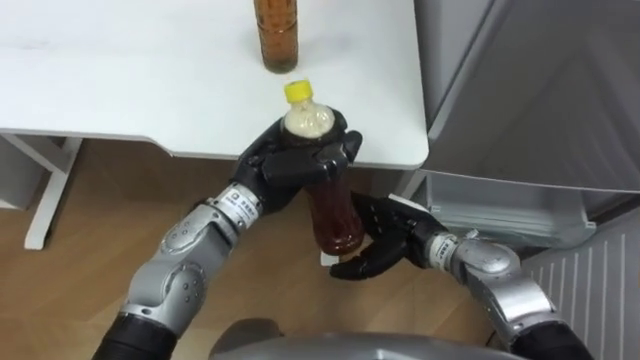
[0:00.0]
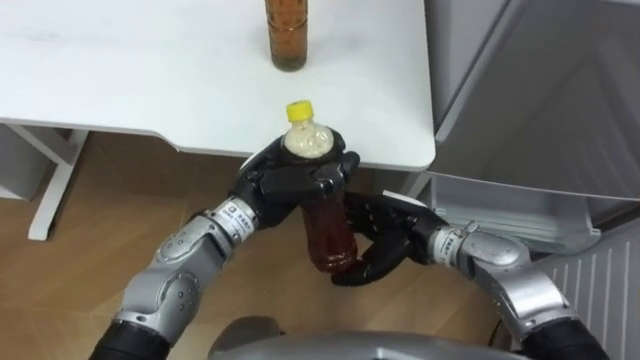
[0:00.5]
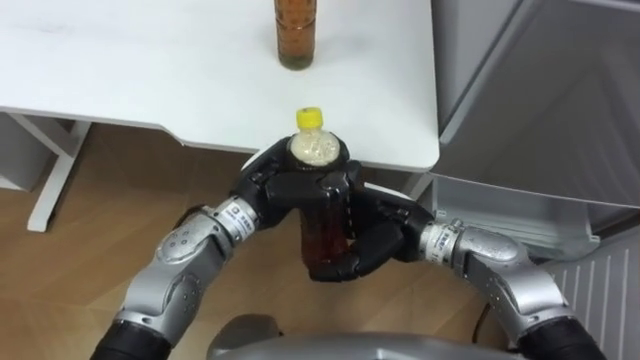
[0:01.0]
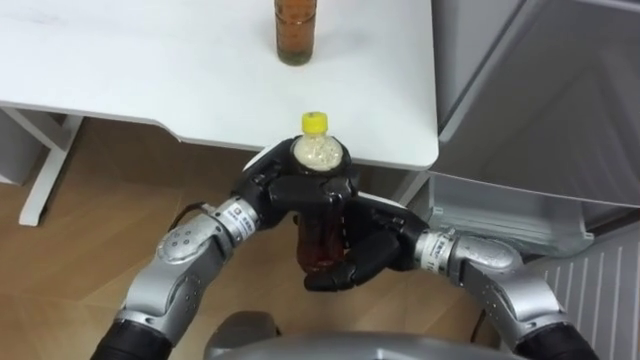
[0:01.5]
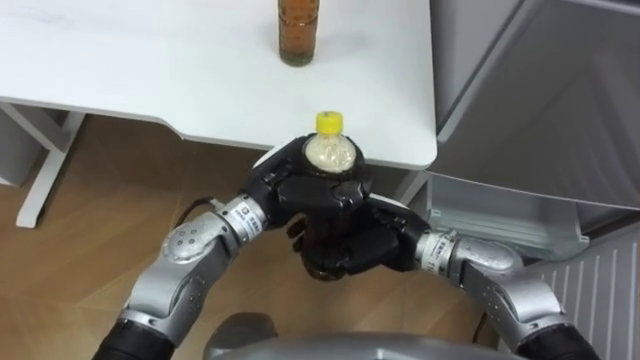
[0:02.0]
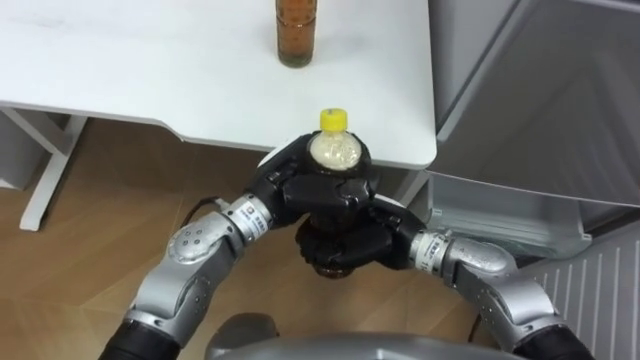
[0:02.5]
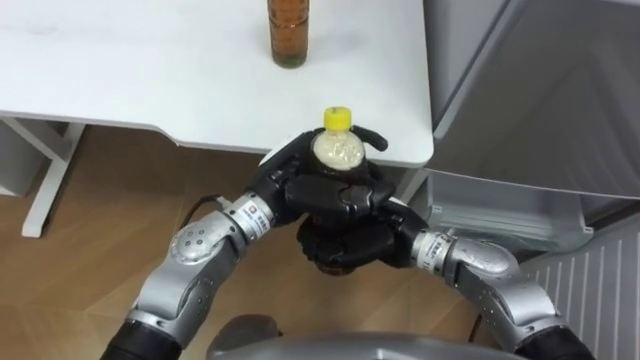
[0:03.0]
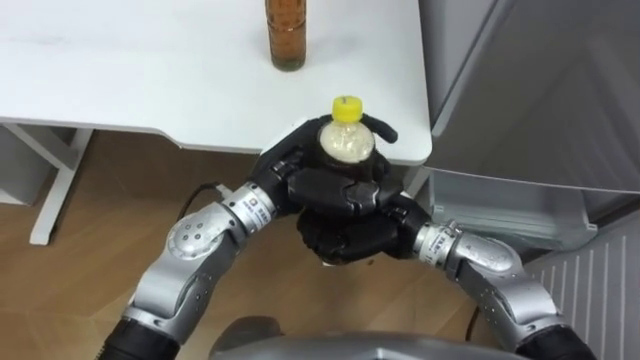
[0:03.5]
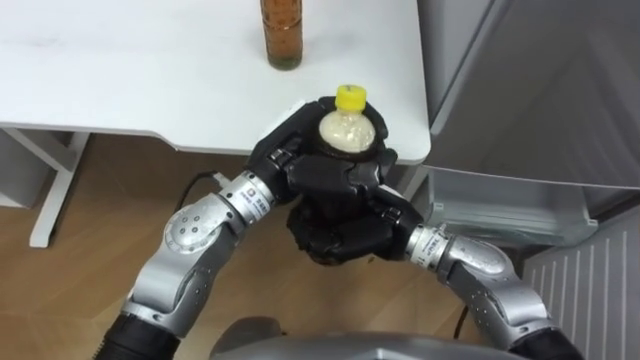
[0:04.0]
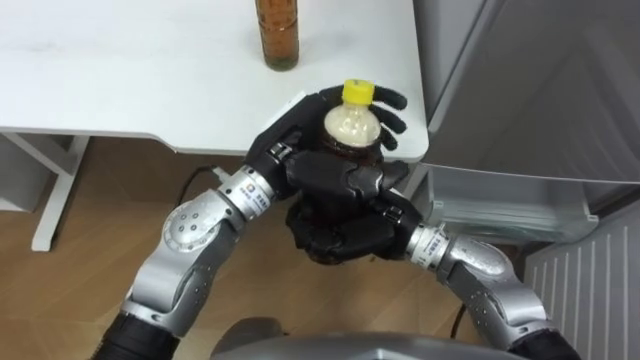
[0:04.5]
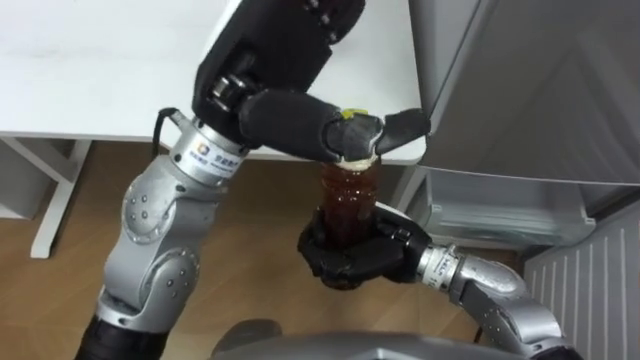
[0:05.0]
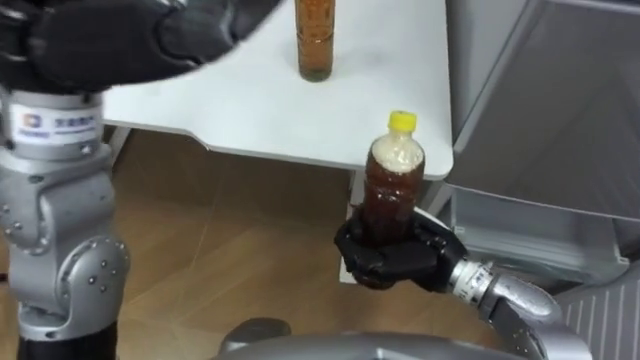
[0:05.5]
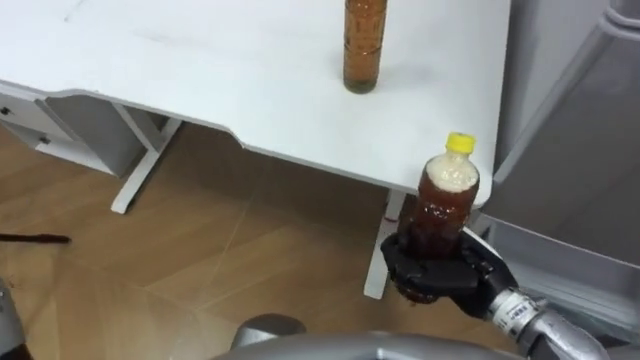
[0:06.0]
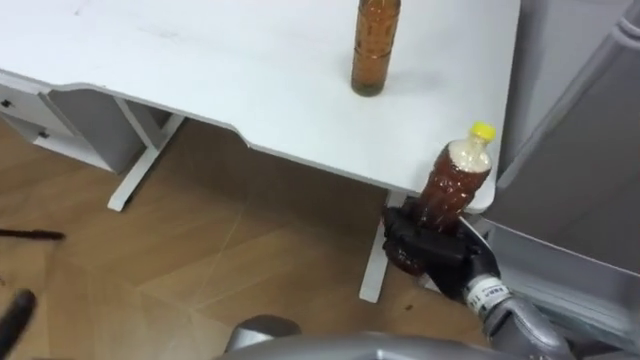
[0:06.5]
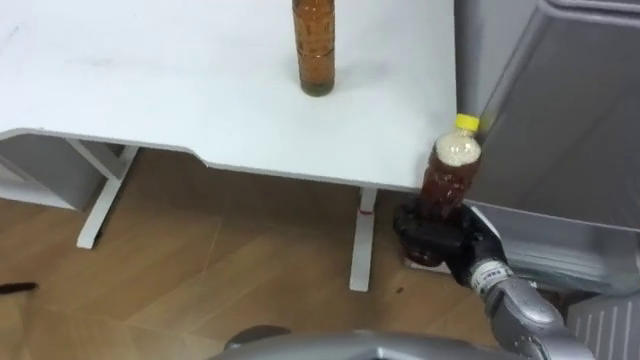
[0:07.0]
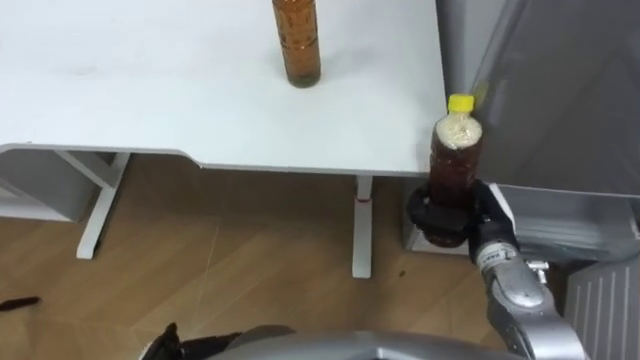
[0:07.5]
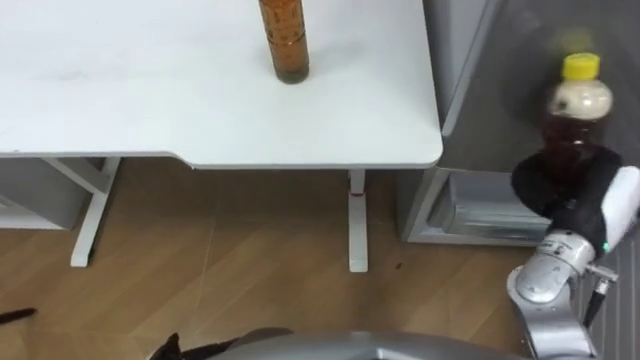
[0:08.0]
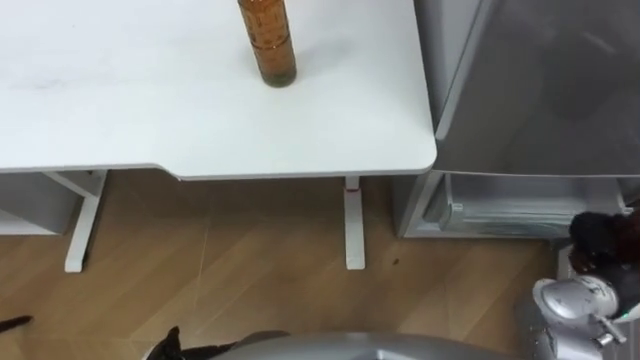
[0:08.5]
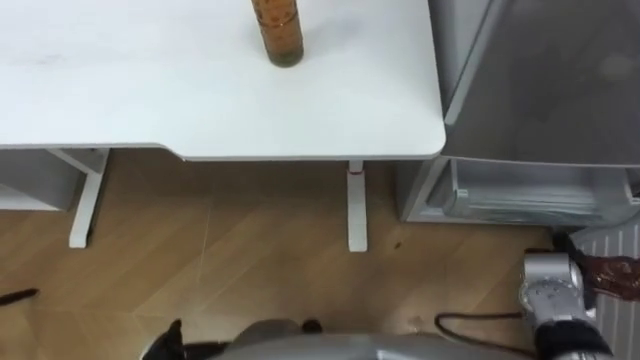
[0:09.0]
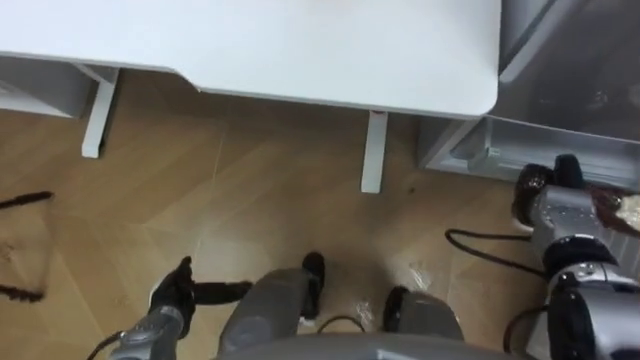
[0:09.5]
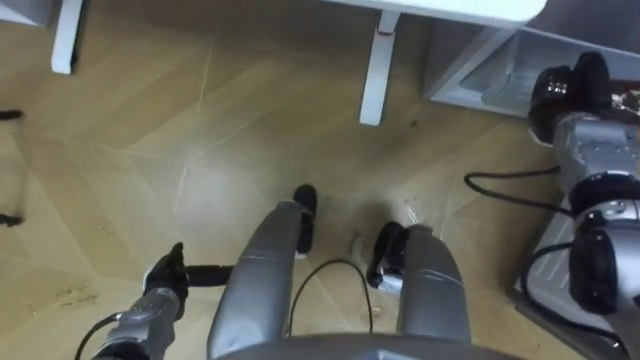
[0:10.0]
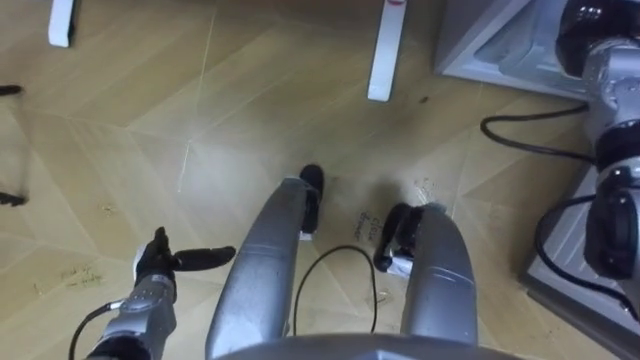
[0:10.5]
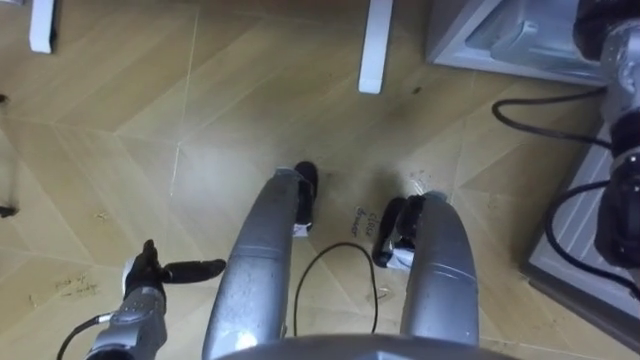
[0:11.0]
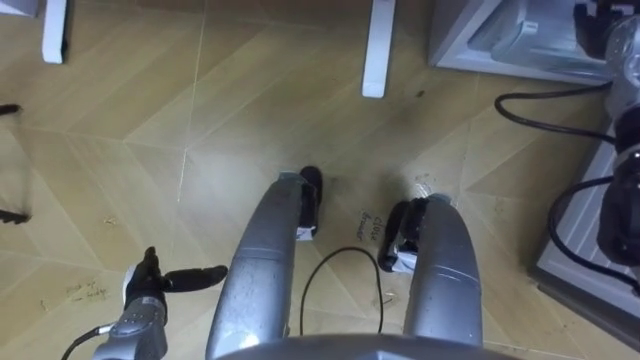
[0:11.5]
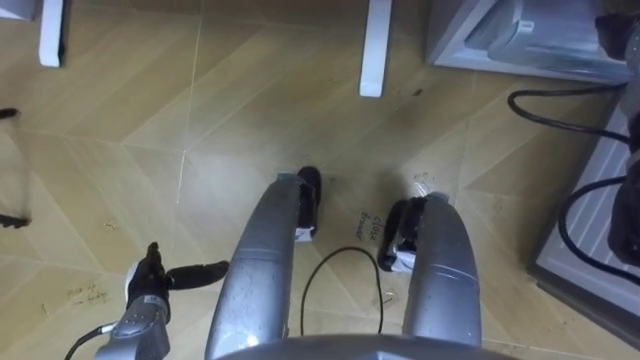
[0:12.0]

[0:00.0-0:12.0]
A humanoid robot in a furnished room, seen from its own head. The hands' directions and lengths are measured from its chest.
Task of the whole recording: Place the drink on the table on the bottom shelf of the refrigerator, then close the drawer and the refrigerator door.
0:00.0 to 0:02.0: The right hand ends up some 5 cm from where it was, and closes up.
0:02.0 to 0:04.0: The left hand moves upward, about 5 cm.
0:04.0 to 0:06.0: The right hand moves to the right and backward, some 15 cm.
0:06.0 to 0:08.0: The right hand travels to the right, forward and upward by approximately 15 cm.
0:08.0 to 0:10.0: The right hand shifts roughly 15 cm forward.
0:10.0 to 0:12.0: The right hand heads upward and forward, covering approximately 15 cm, and opens up.

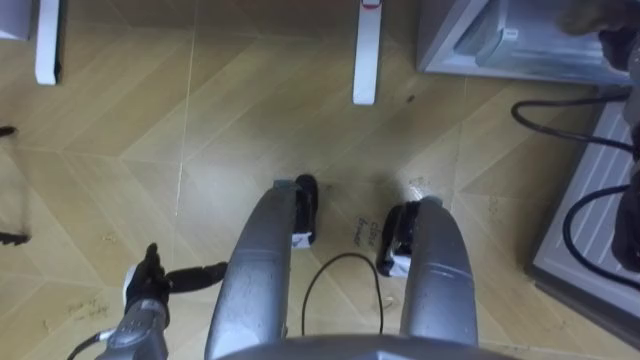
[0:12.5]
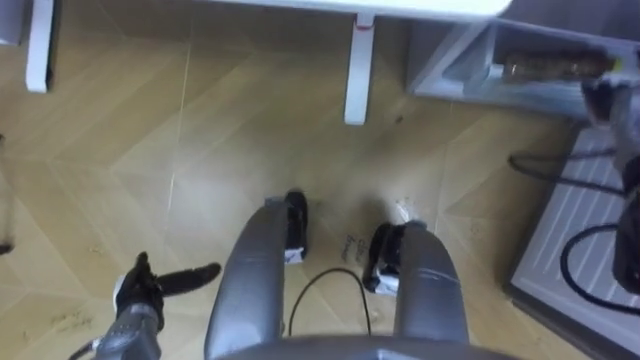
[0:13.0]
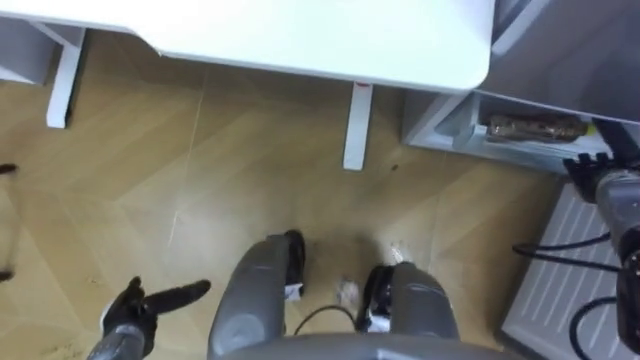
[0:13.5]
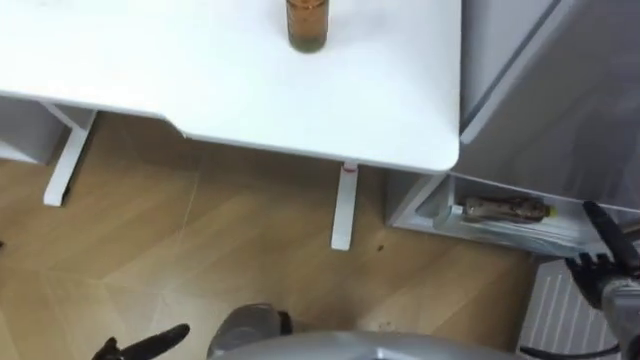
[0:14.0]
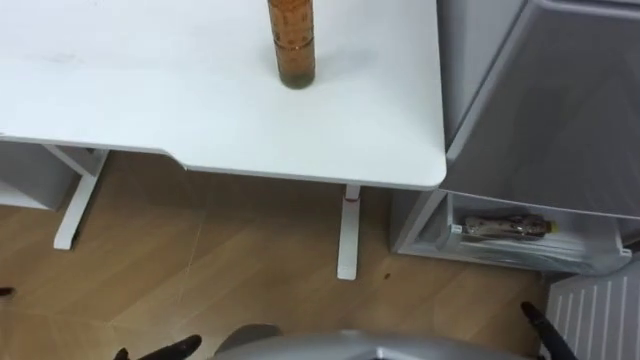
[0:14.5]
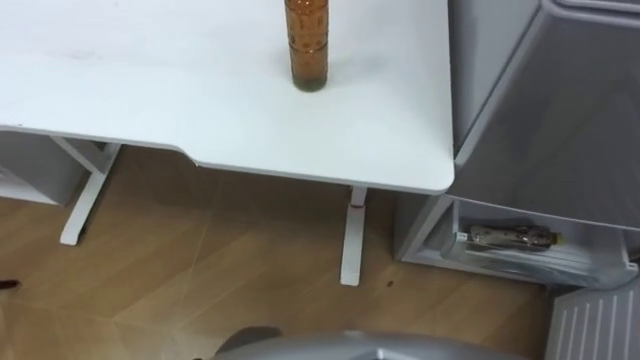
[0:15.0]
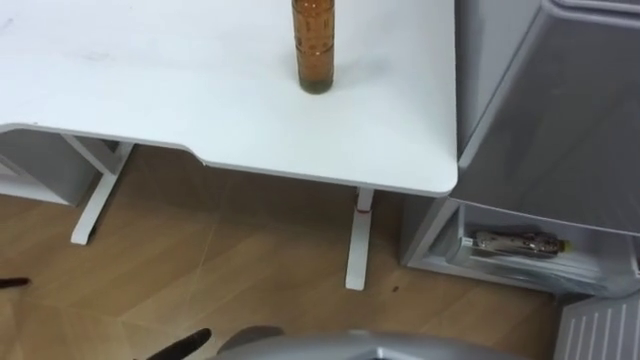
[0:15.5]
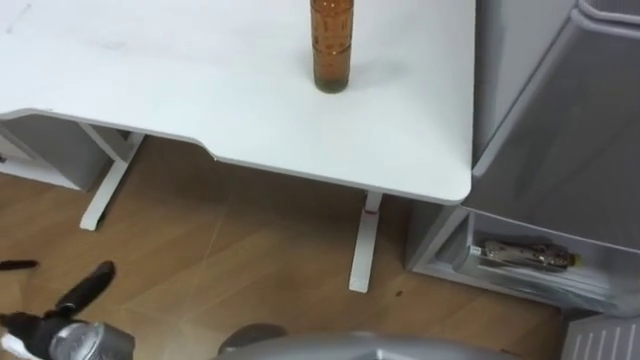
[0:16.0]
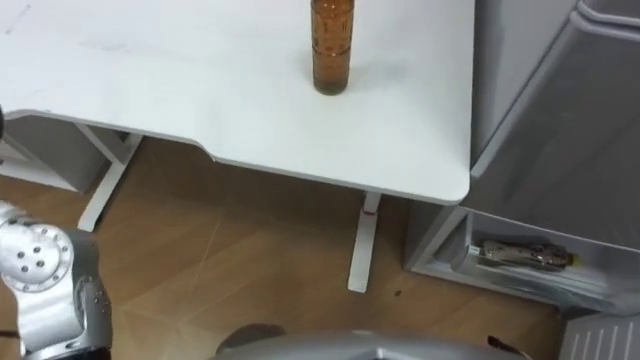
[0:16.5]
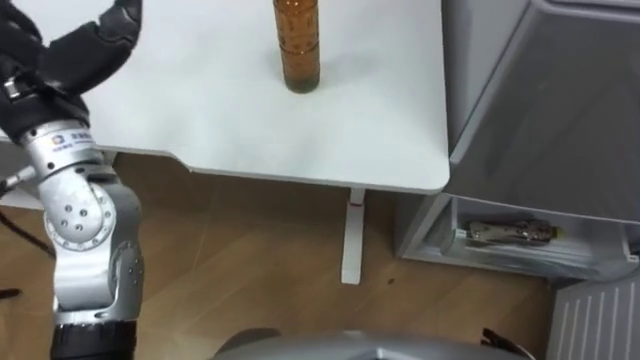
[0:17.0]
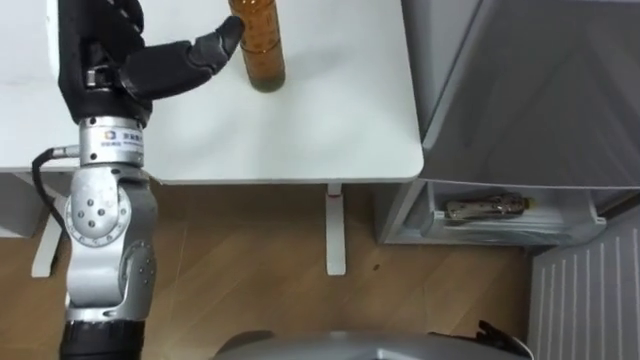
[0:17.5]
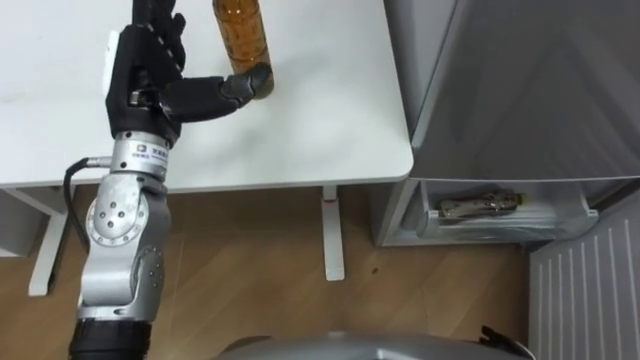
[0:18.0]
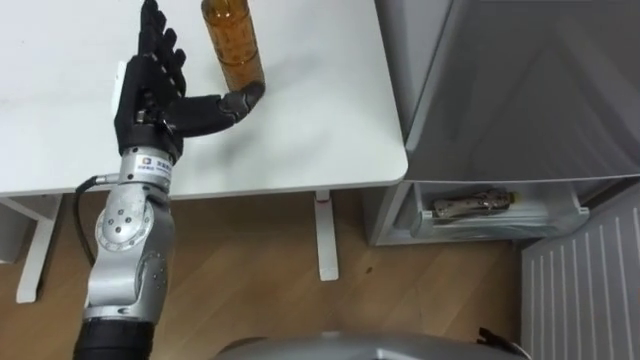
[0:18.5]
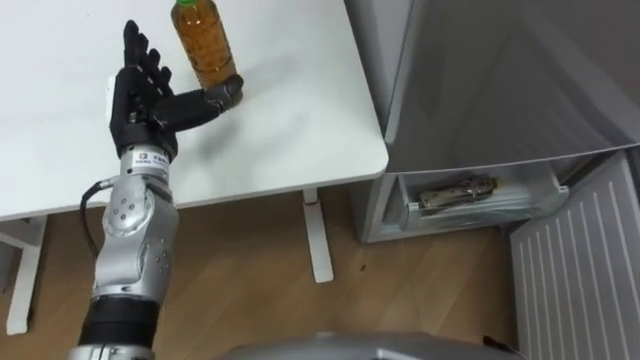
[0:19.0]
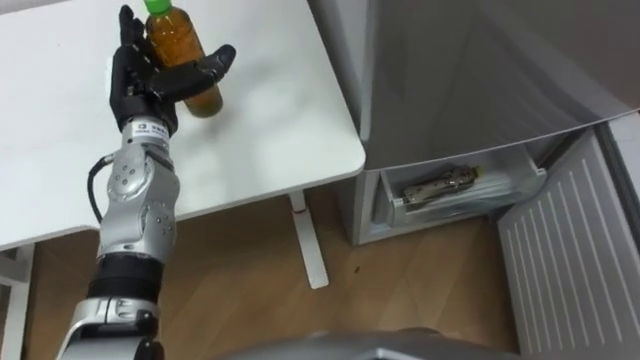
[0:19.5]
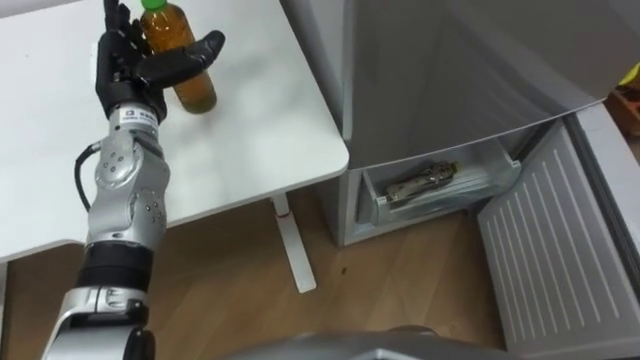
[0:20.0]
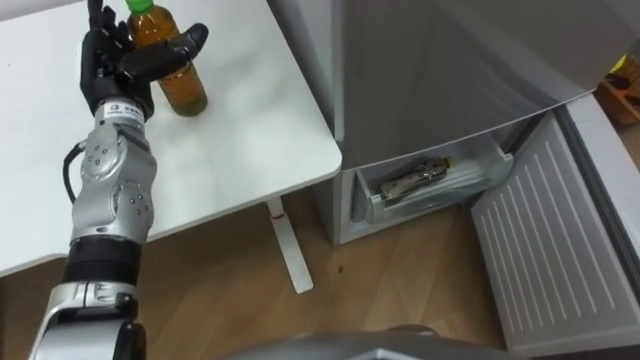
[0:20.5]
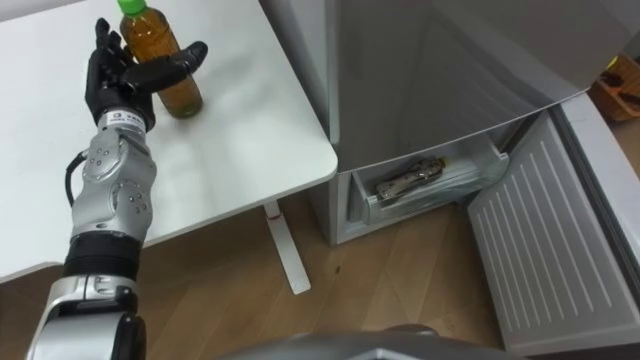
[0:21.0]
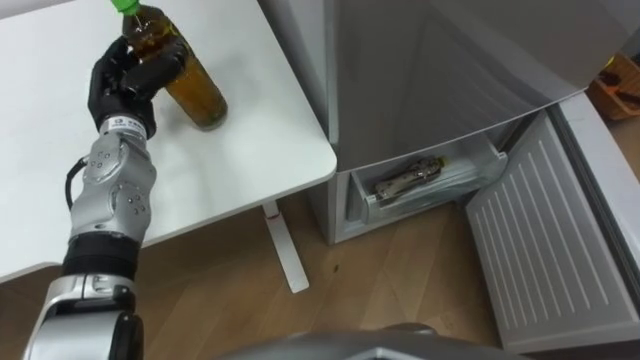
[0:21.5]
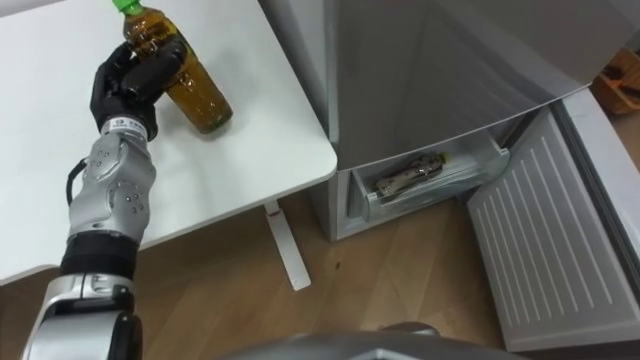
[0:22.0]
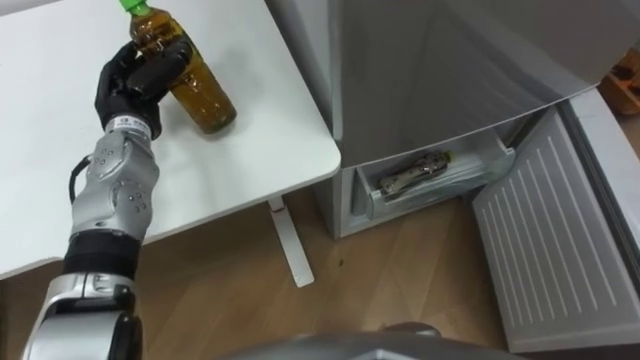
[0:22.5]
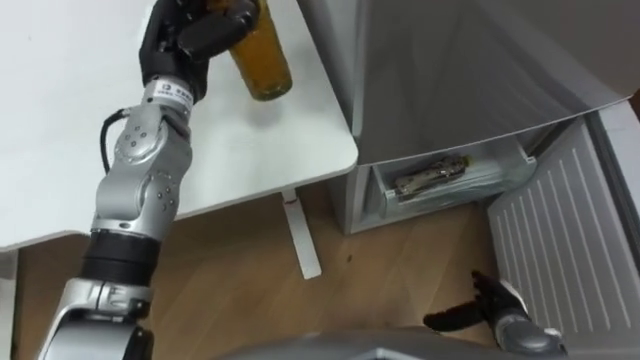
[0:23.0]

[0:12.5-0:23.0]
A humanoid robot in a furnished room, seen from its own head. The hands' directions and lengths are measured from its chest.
Task of the whole recording: Place the drink on the table on the bottom shelf of the refrigerator, then close the drawer and the refrigerator door.
0:19.0 to 0:21.0: The left hand moves approximately 5 cm.
0:21.0 to 0:23.0: The left hand heads to the right and upward, covering some 10 cm, and closes up.
